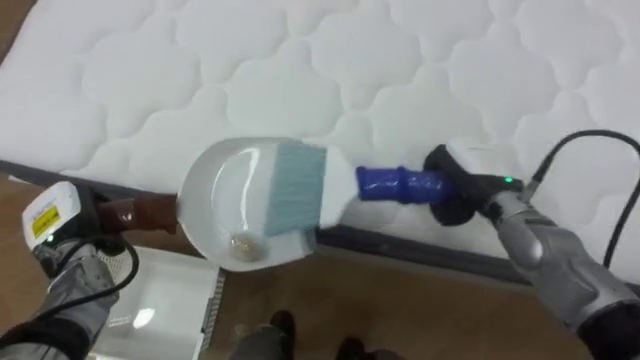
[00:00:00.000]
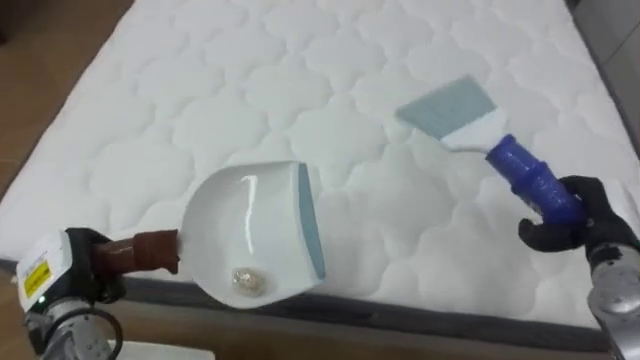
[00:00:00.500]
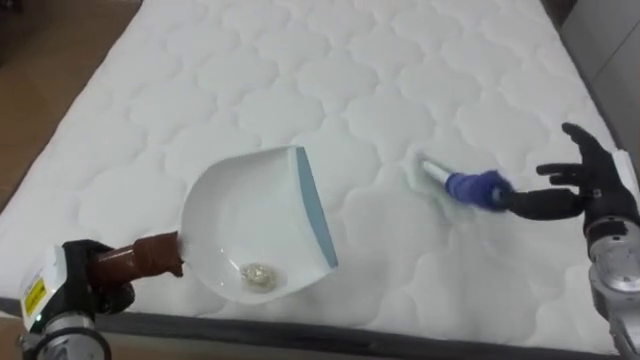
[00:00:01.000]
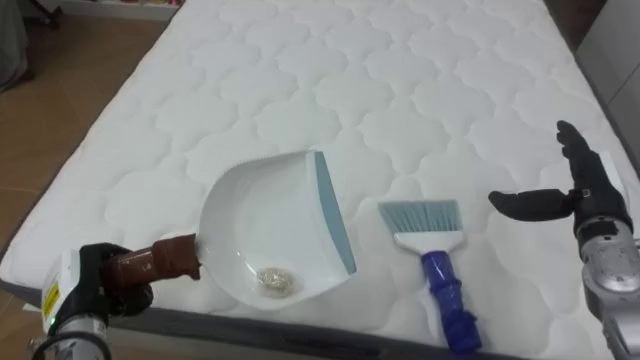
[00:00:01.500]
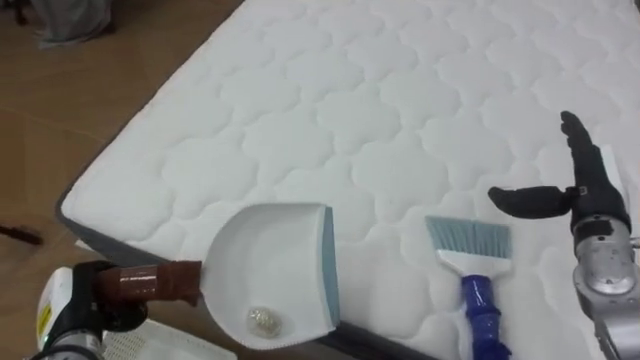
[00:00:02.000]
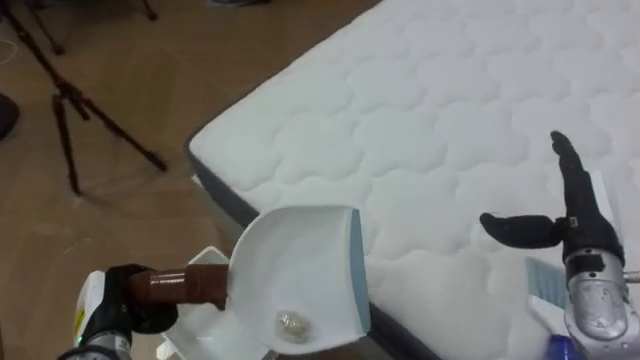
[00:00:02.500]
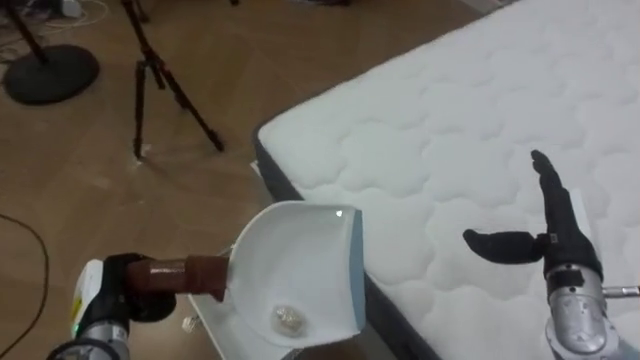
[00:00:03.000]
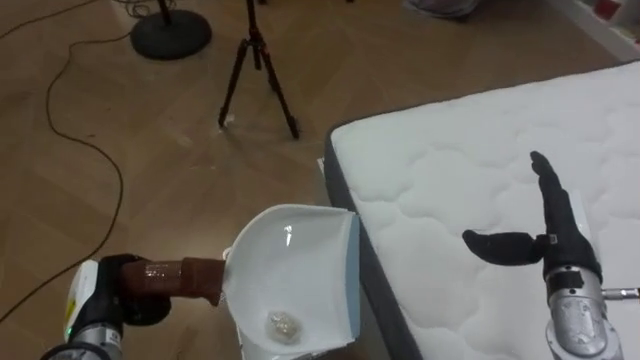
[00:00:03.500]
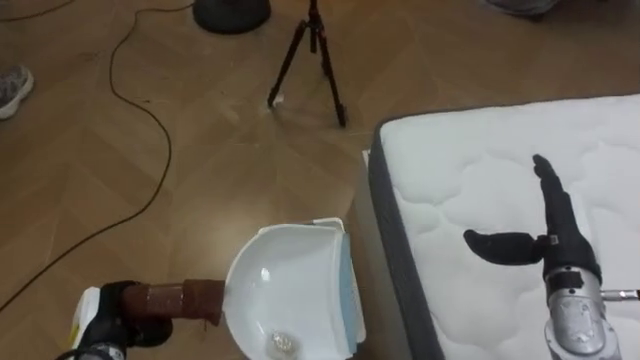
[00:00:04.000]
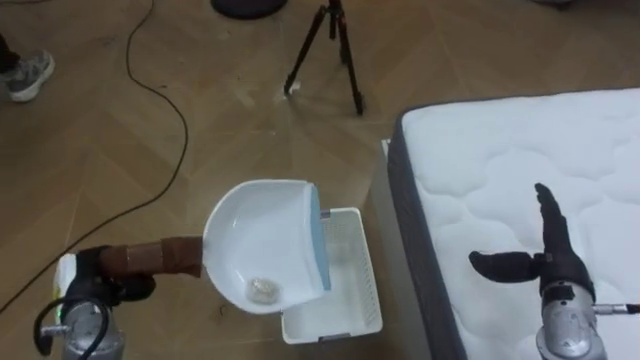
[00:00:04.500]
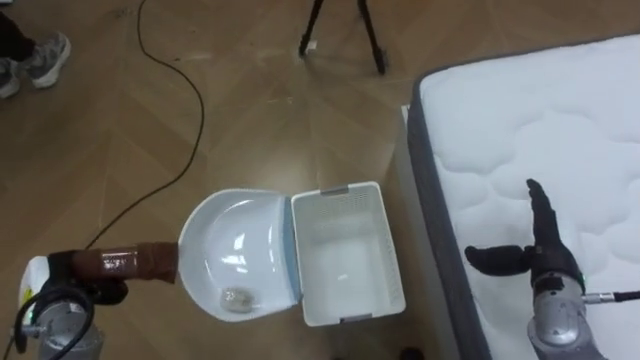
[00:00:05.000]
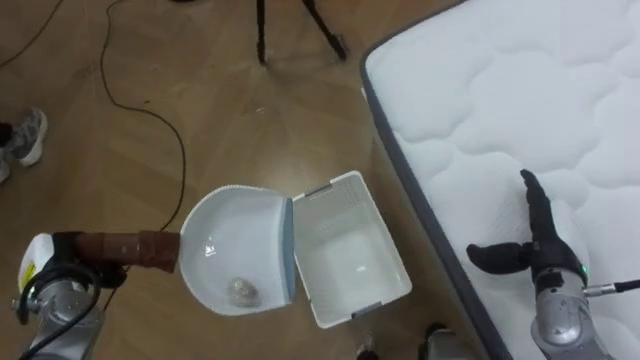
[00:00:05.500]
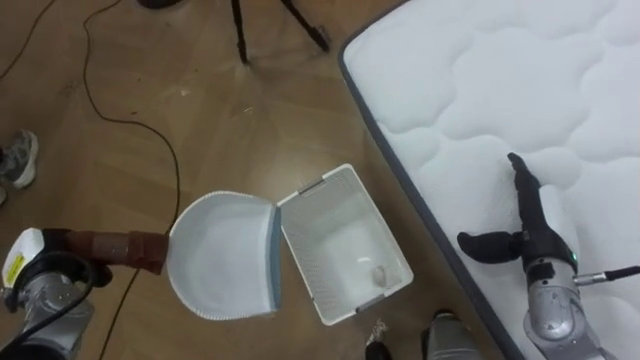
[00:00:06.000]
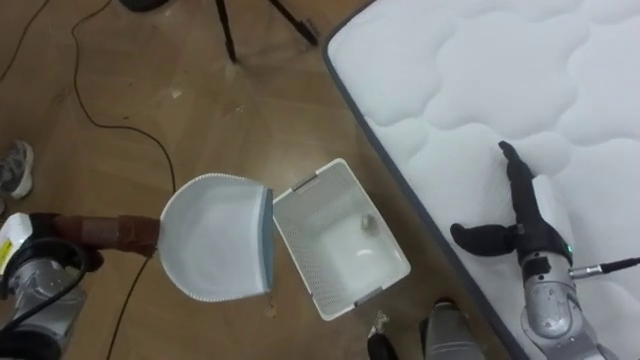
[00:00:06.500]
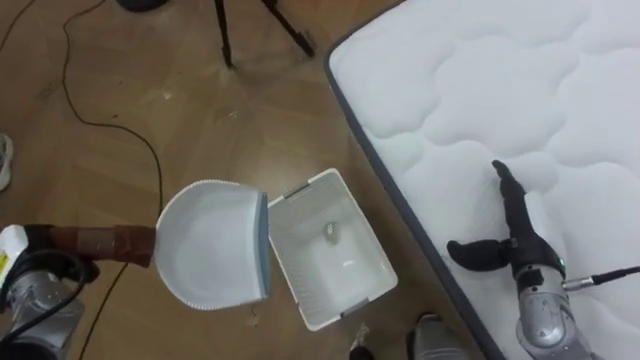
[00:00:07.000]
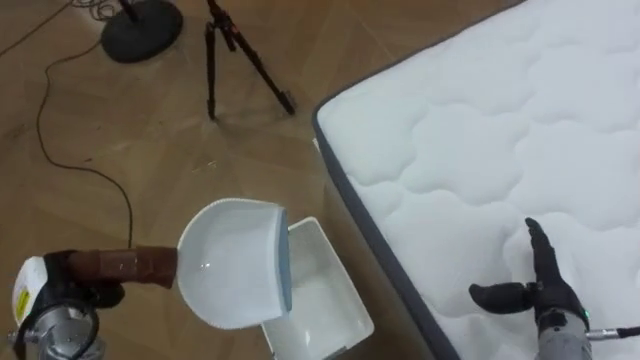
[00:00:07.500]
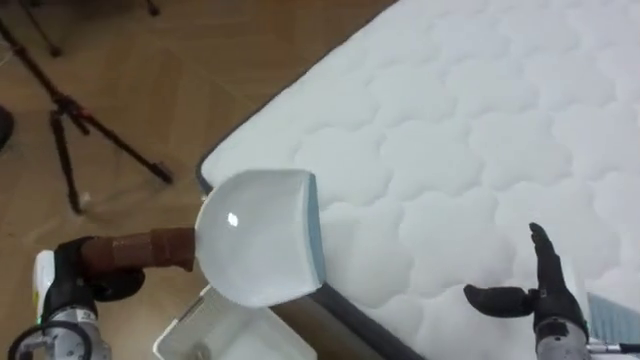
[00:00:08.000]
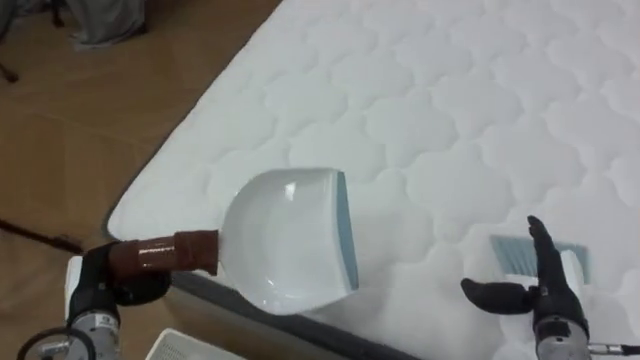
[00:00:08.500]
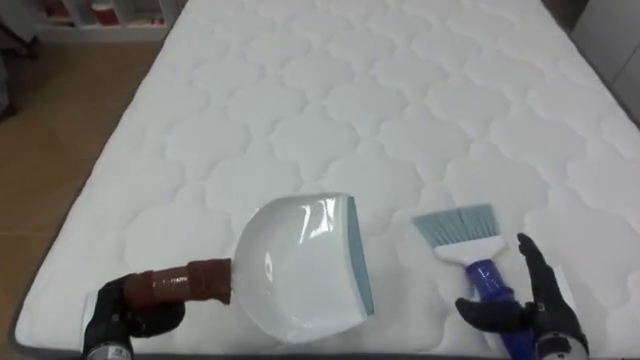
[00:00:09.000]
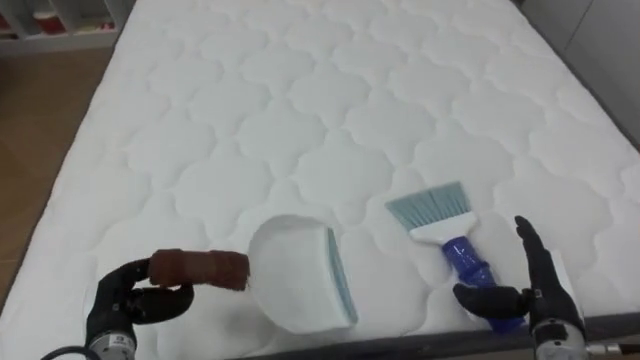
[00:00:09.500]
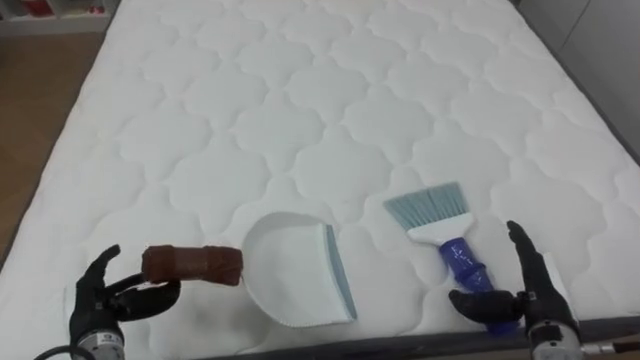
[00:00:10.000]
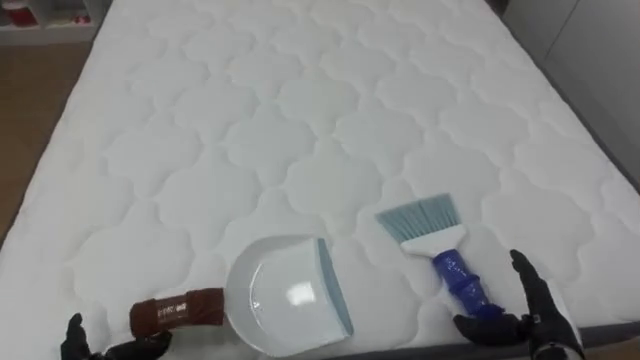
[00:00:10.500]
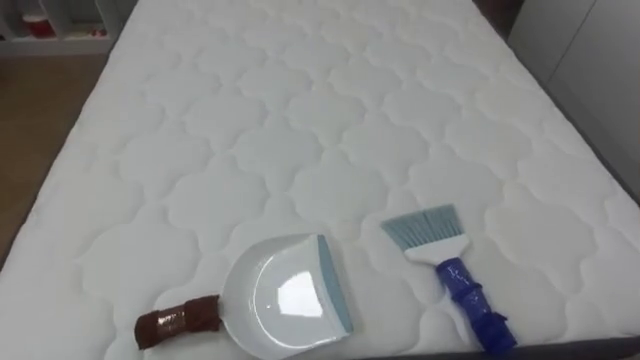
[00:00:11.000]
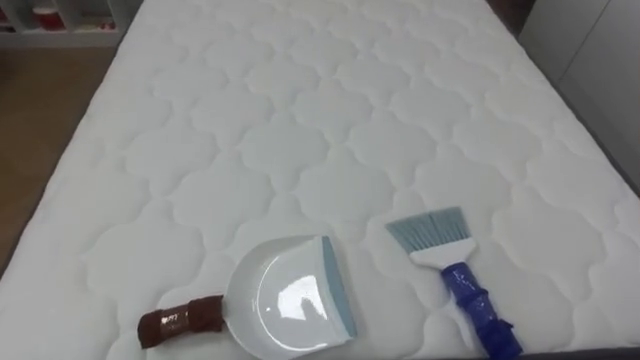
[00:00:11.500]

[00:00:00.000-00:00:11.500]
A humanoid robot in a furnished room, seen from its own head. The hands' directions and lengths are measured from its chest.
Task of the whole recording: Pick up the brush on your right and the dustpan on your left. Use the brush to sweep the crumpled paper on the bed into the dustpan, then turn left and empty it into the basket.
00:00:00.000 to 00:00:02.000: The right hand moves to the right, some 15 cm, and opens up. The left hand shifts about 10 cm backward.
00:00:02.000 to 00:00:04.000: The robot turns to its left by approximately 60 degrees. The right hand moves approximately 5 cm.
00:00:04.000 to 00:00:06.000: The left hand travels to the left and forward by about 10 cm.
00:00:06.000 to 00:00:07.500: The right hand shifts approximately 5 cm downward.
00:00:07.500 to 00:00:09.500: The robot turns to its right by some 70 degrees. The left hand travels to the right by roughly 10 cm.

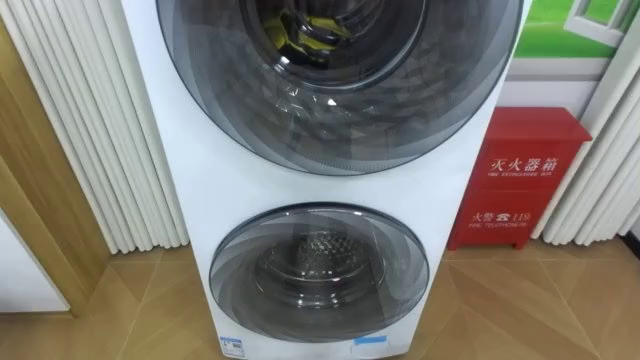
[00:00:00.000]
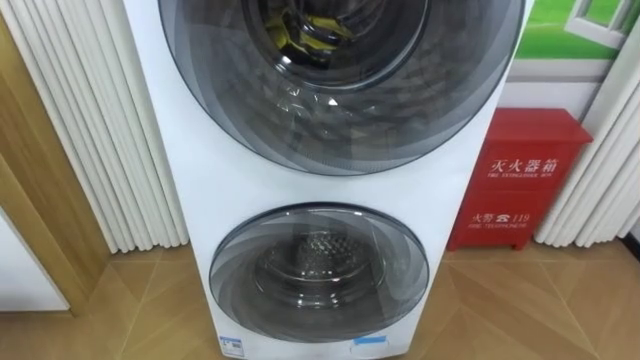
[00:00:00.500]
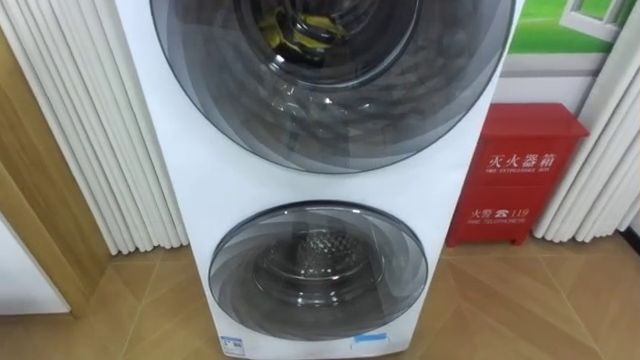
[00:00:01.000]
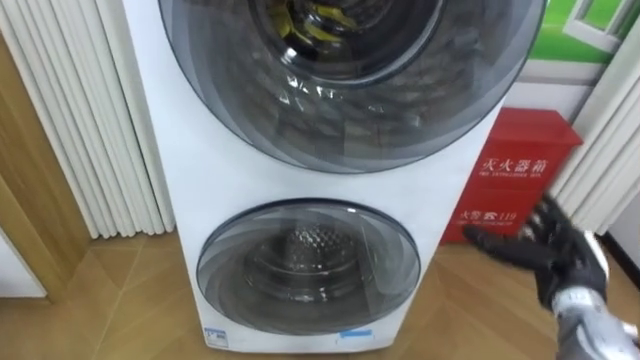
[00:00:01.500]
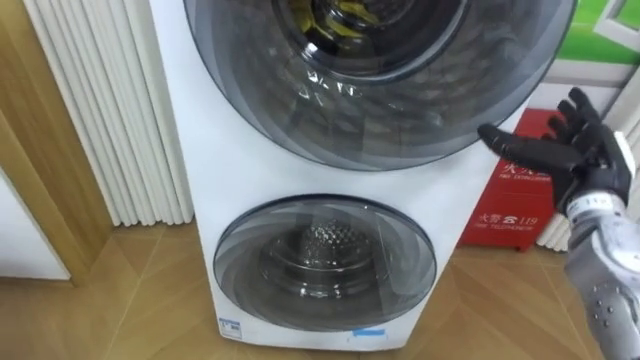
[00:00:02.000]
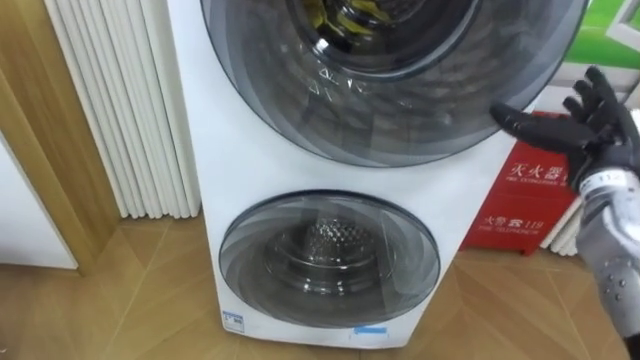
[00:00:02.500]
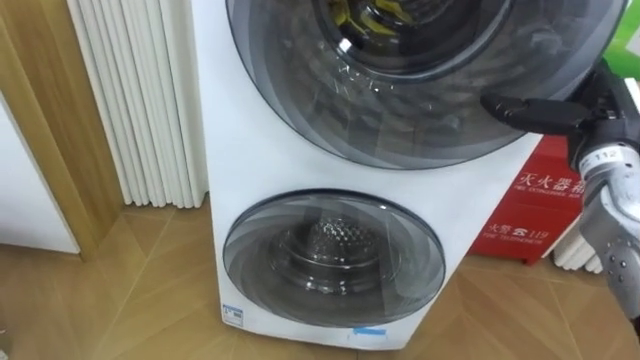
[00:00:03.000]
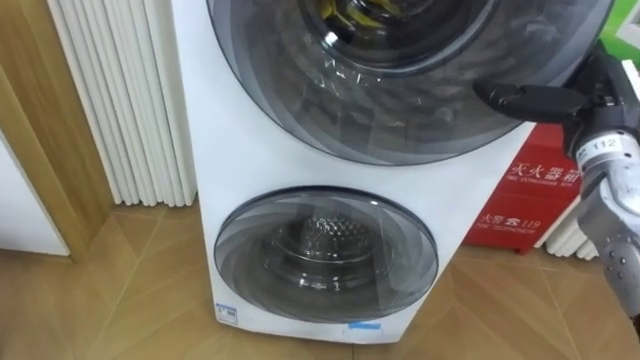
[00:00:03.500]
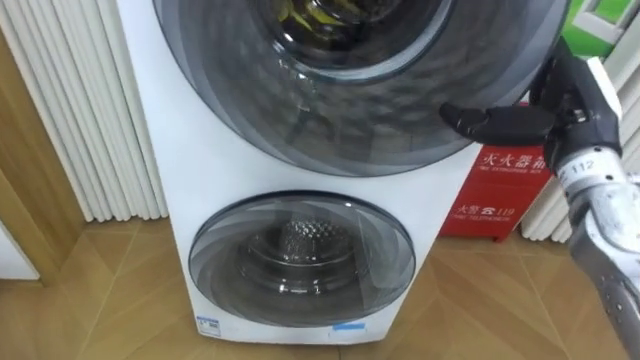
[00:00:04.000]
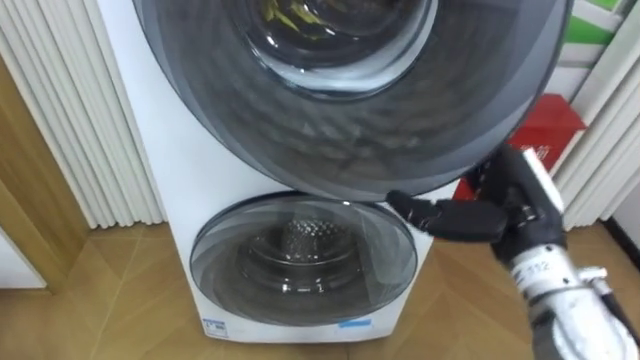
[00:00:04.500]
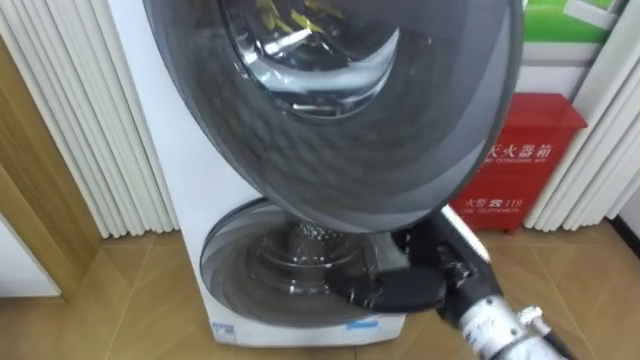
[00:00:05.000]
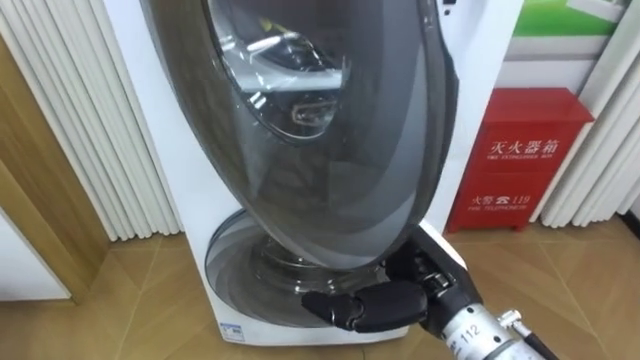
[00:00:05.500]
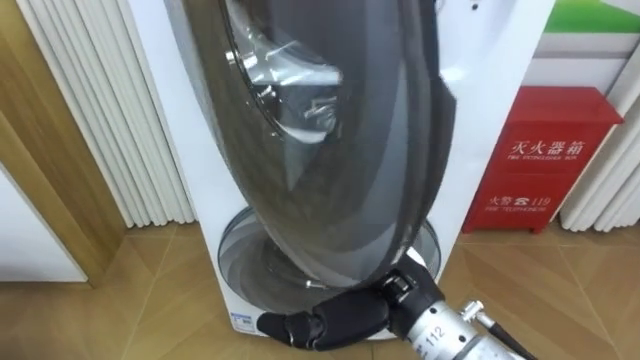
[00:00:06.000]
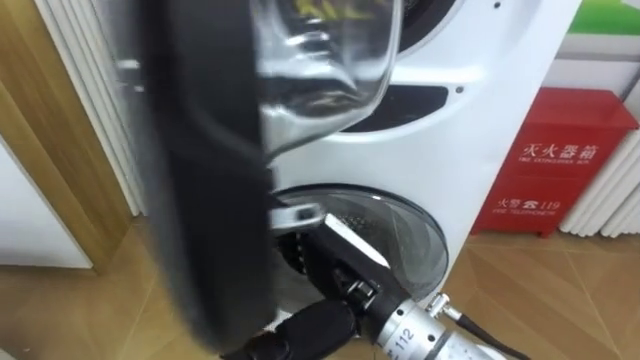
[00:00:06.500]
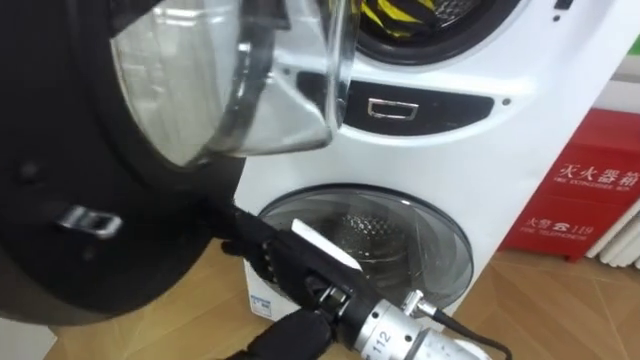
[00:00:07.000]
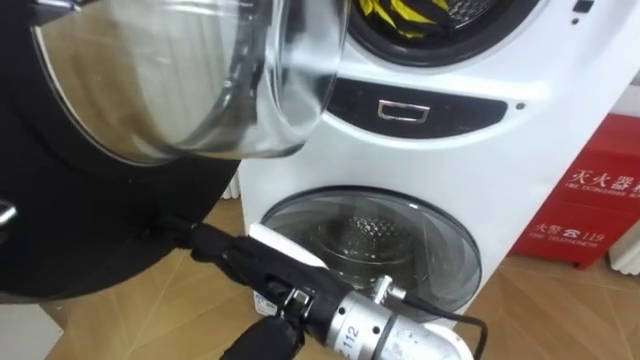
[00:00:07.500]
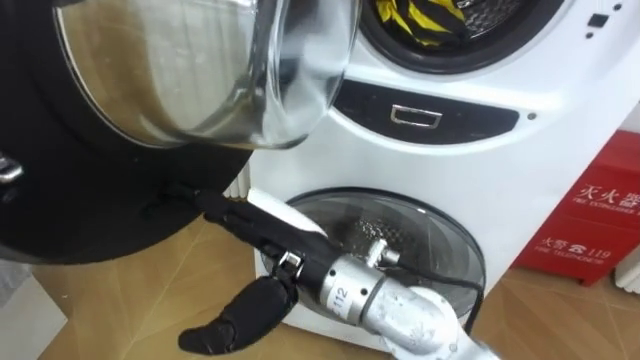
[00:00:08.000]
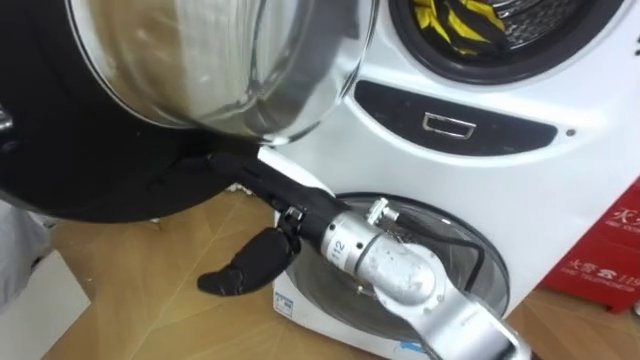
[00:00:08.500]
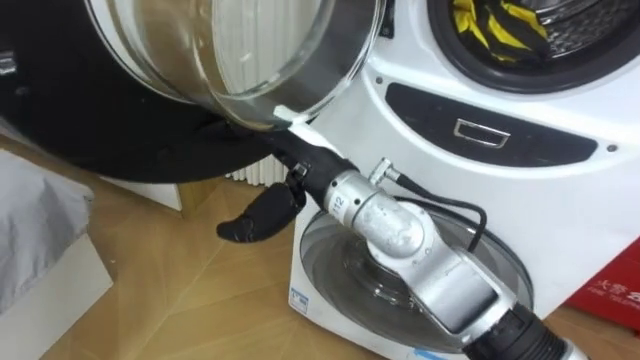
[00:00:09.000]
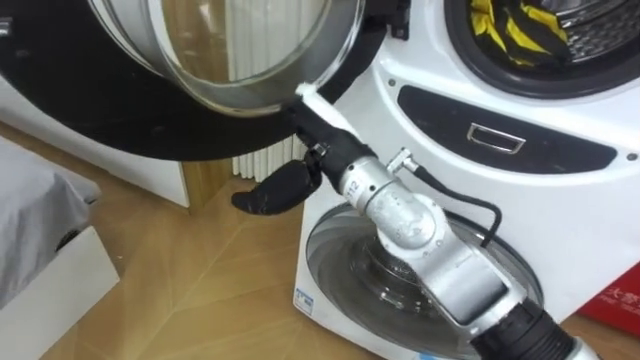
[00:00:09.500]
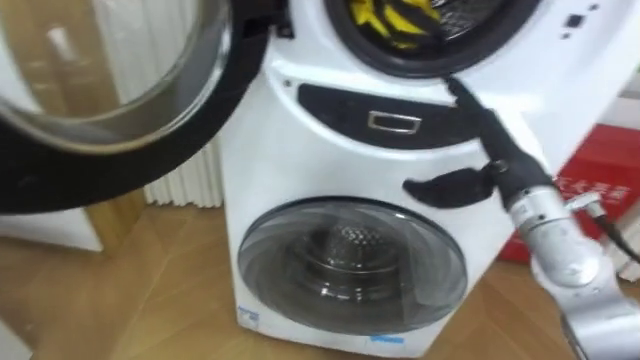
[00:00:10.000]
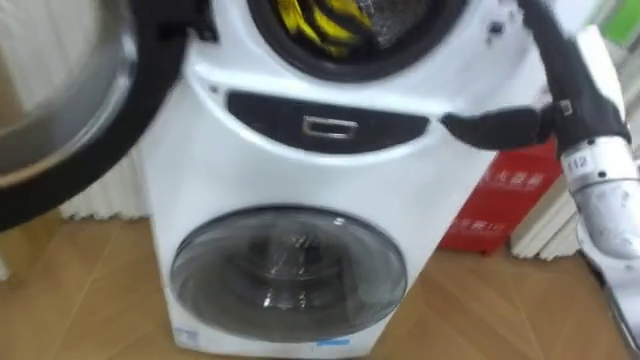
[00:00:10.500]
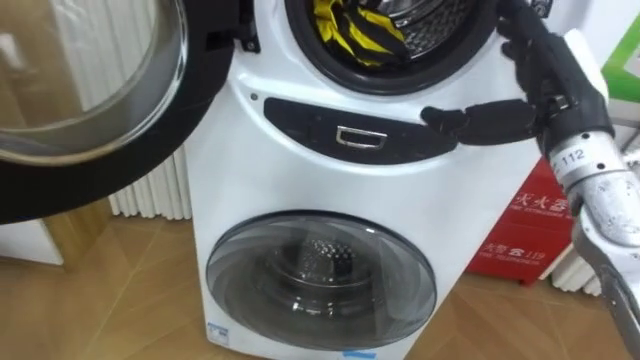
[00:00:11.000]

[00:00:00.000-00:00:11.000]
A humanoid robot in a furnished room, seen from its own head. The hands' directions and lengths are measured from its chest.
Task of the whole recording: Open the washing machine door, take out the yellow clothes, place them in the box on the right, and close the washing machine door.
00:00:02.000 to 00:00:03.500: The right hand travels upward by roughly 5 cm.
00:00:03.500 to 00:00:05.500: The right hand heads to the left, backward and downward, covering about 25 cm.
00:00:05.500 to 00:00:07.500: The right hand is displaced to the left by about 15 cm.
00:00:07.500 to 00:00:09.000: The right hand shifts some 10 cm forward.
00:00:09.000 to 00:00:11.000: The right hand travels to the right by approximately 25 cm.
